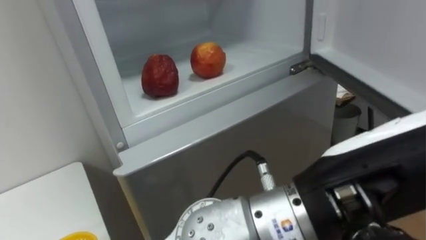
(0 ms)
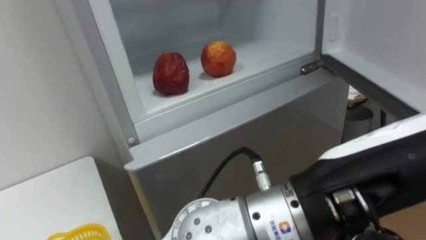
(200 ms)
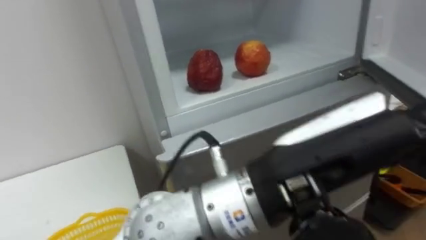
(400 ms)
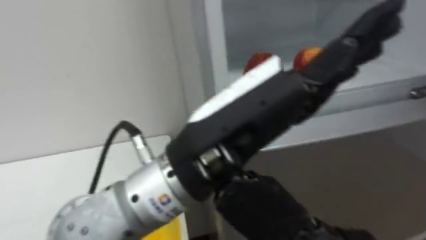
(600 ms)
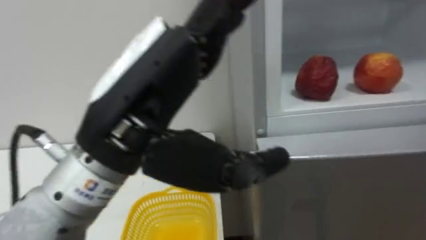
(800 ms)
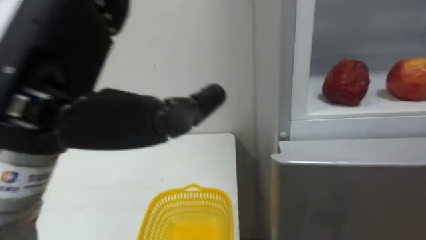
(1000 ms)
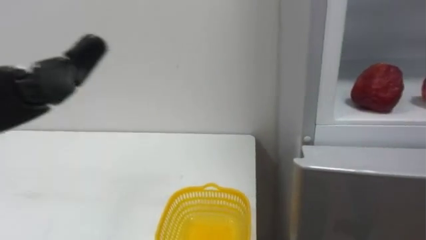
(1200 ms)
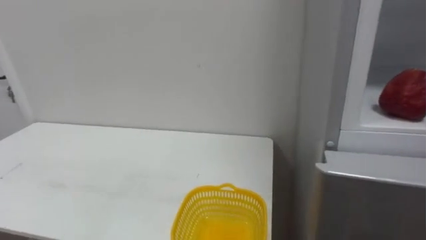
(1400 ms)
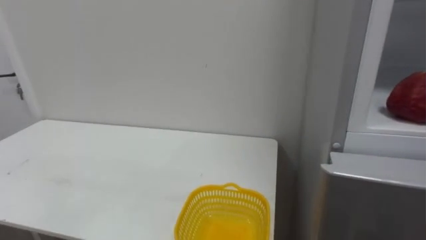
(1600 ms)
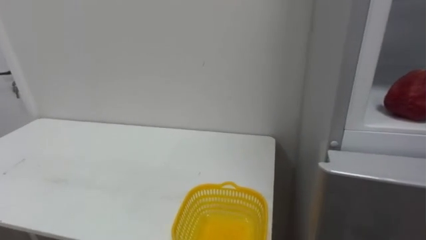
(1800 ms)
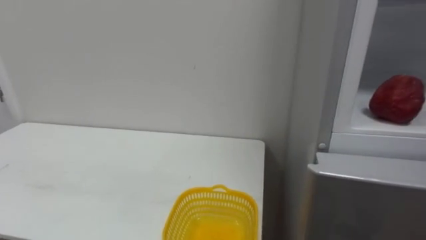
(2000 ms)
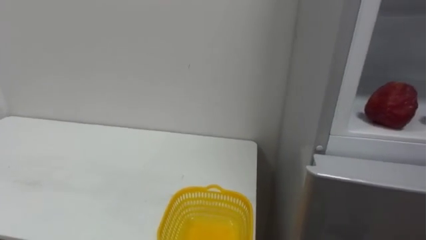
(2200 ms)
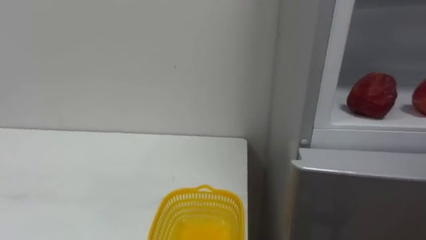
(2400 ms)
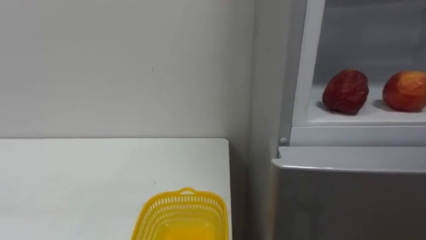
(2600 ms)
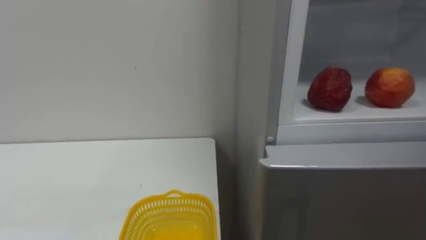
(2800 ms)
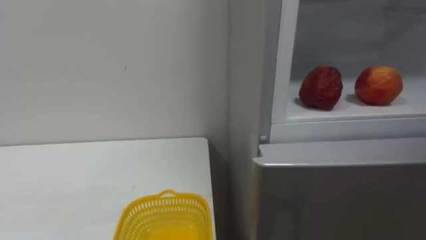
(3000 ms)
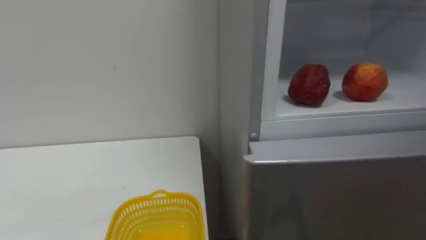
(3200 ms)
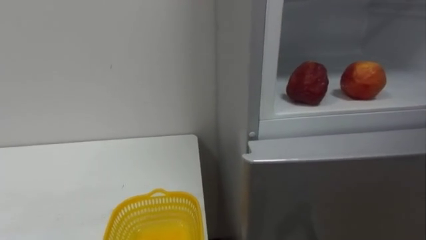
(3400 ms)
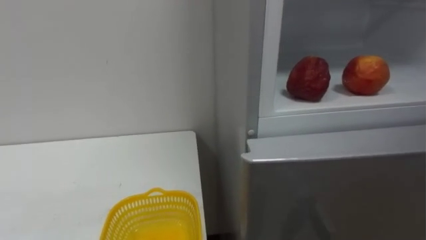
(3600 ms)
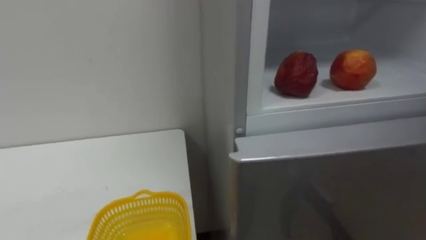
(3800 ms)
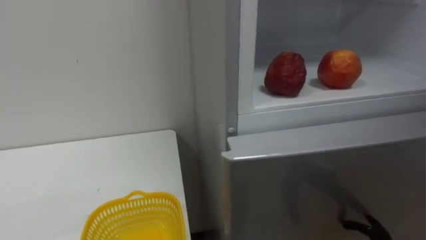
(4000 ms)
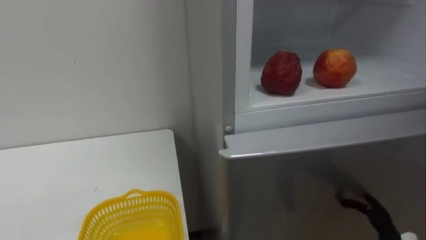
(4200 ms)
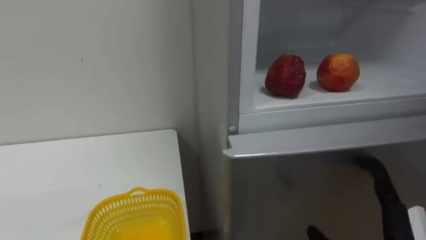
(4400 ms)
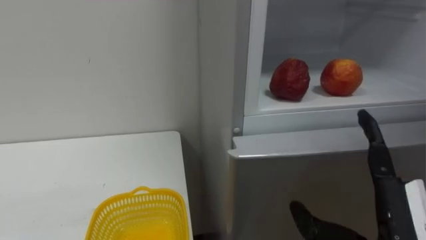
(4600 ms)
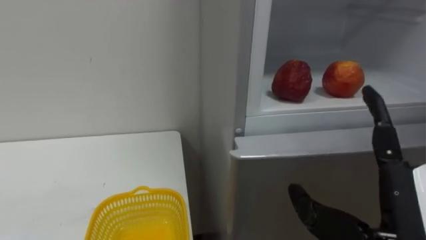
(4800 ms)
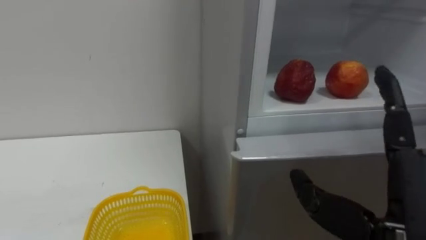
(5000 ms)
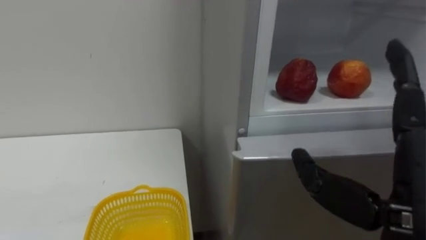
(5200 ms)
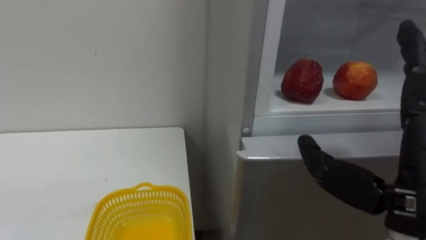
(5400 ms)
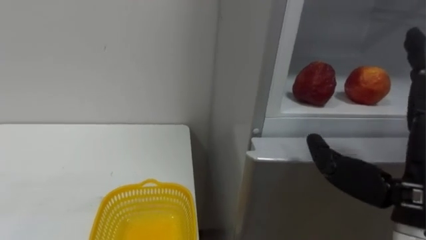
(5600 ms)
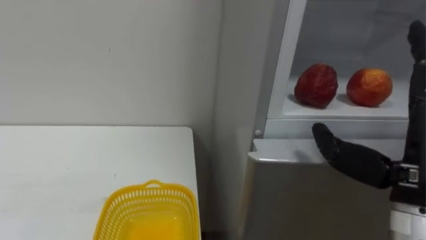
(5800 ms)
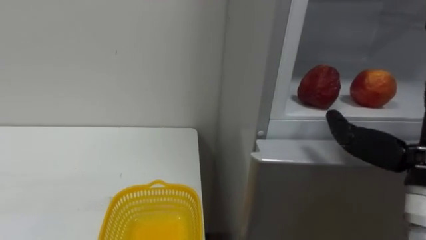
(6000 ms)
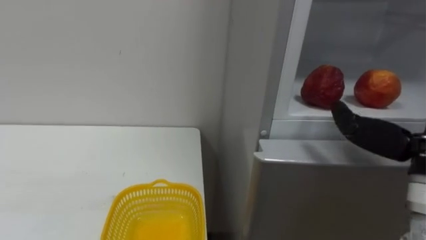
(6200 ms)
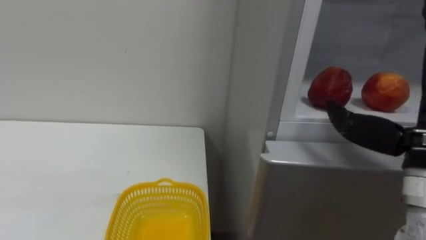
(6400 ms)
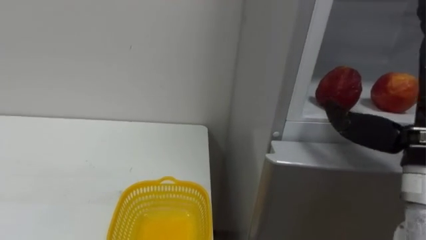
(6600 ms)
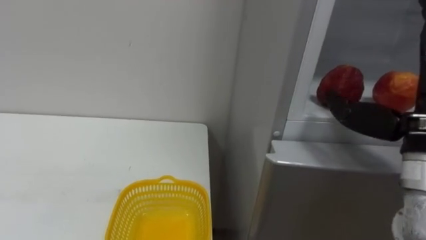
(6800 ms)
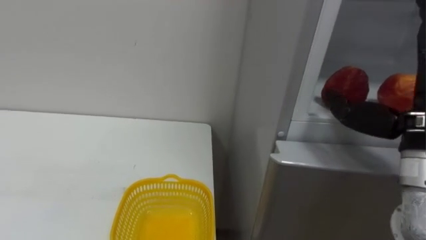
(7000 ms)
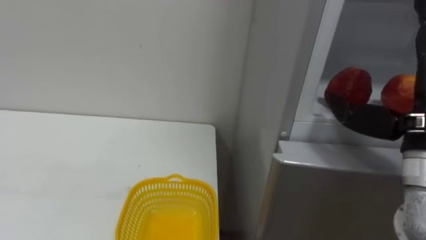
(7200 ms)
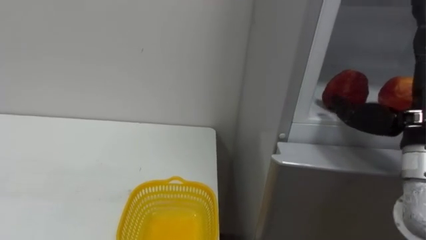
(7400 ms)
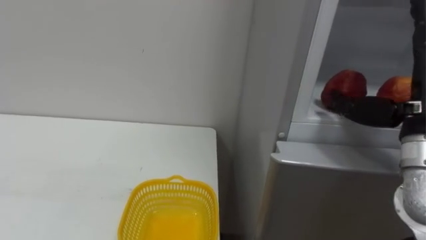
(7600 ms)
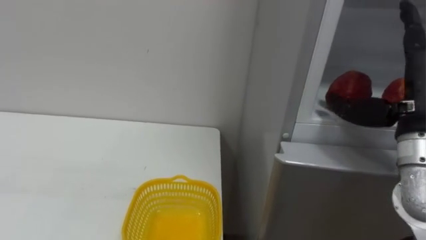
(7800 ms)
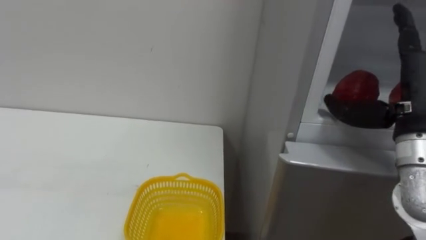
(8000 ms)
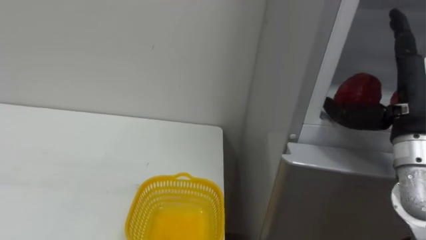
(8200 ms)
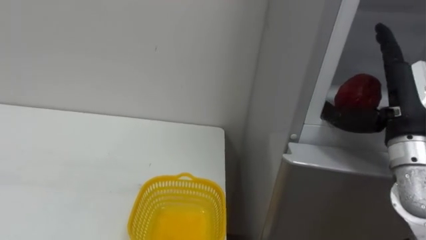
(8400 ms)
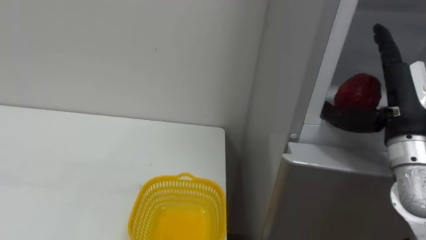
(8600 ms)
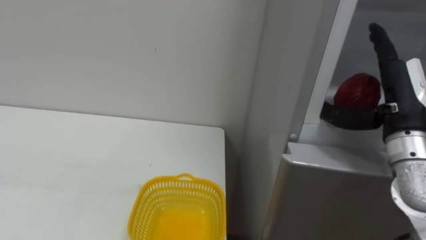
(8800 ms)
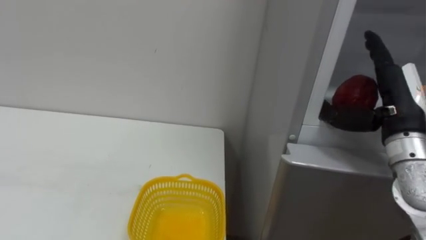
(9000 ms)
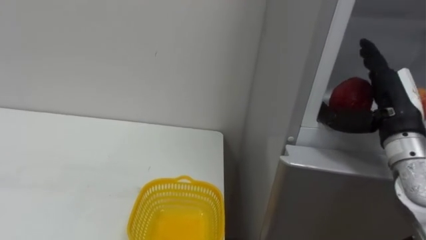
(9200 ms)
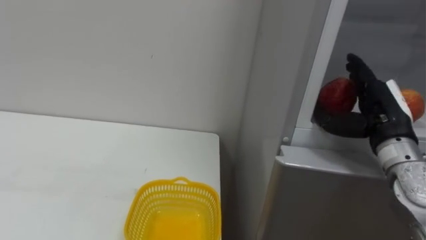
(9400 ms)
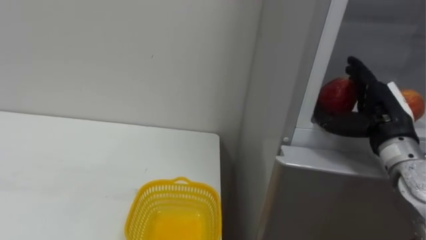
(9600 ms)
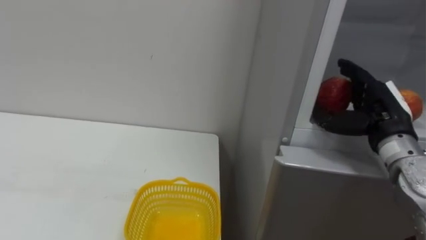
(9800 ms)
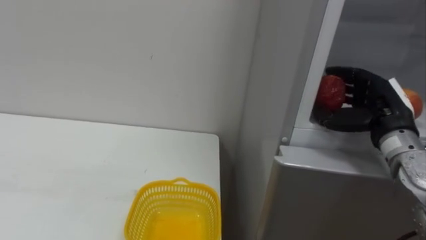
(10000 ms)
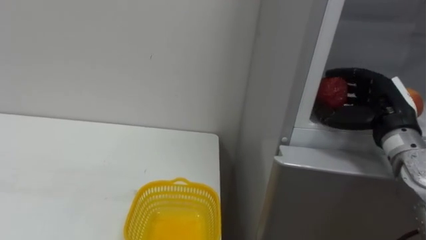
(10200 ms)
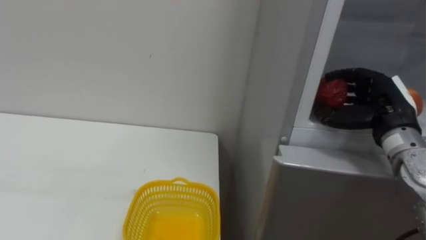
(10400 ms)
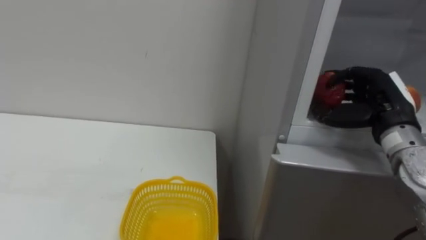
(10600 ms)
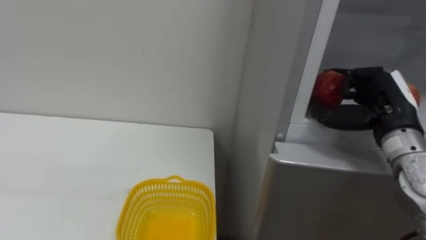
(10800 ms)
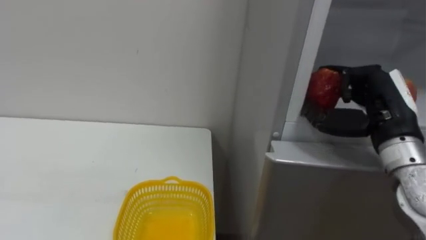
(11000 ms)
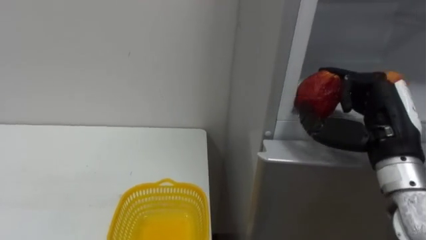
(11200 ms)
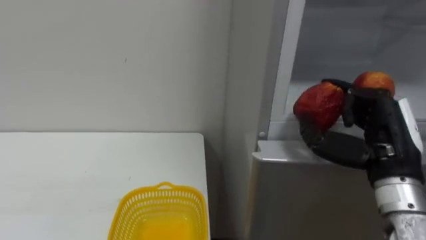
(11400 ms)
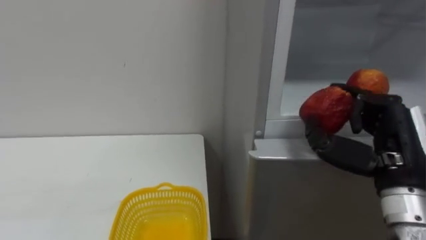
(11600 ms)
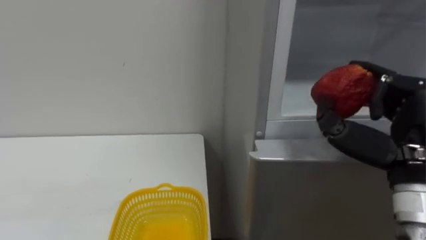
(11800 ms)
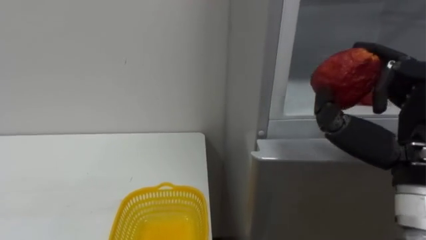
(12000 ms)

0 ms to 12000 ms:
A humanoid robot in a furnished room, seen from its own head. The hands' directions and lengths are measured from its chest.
Task of the whole recording: Open the refrigerator door, take out the apple and the pomegranate, place them in the fruit basket on the left, and close the refrigerator door.
7600 ms to 9000 ms: The right hand moves approximately 5 cm.
9000 ms to 10400 ms: The right hand closes its fingers.
10400 ms to 12000 ms: The right hand is displaced backward by some 15 cm.

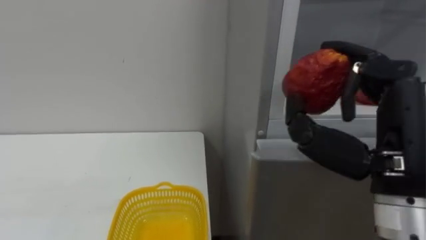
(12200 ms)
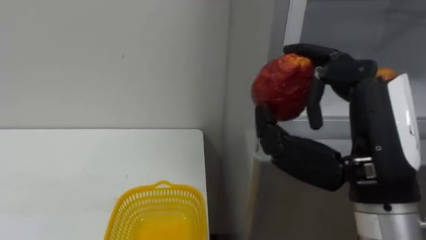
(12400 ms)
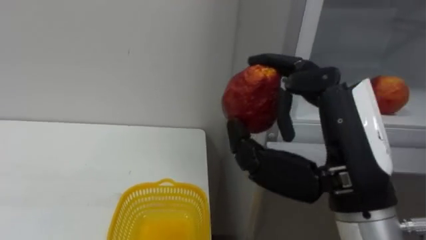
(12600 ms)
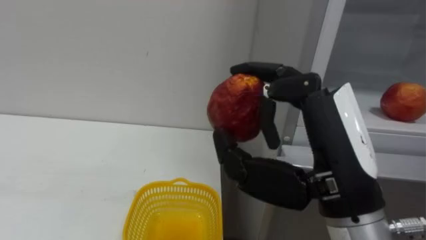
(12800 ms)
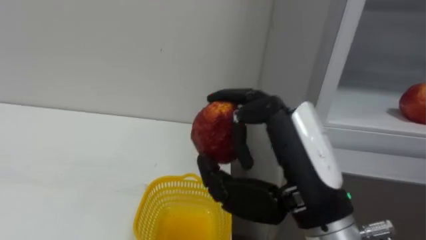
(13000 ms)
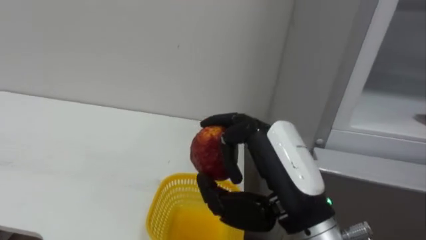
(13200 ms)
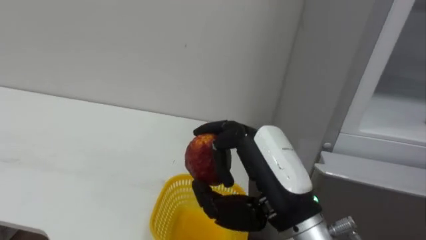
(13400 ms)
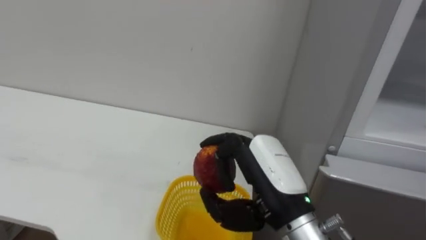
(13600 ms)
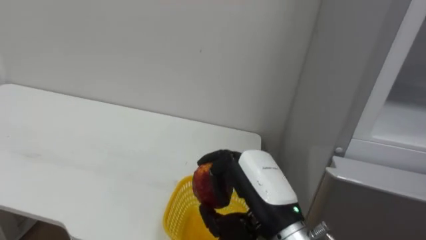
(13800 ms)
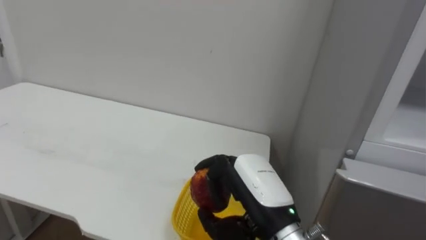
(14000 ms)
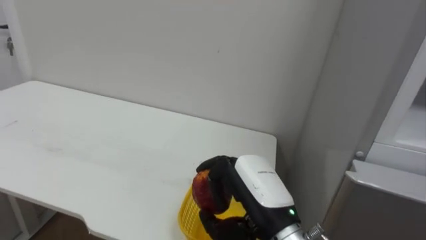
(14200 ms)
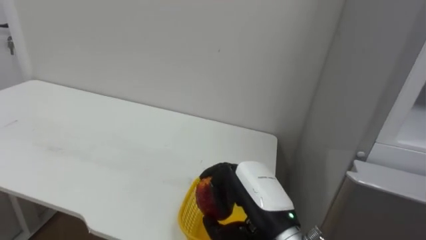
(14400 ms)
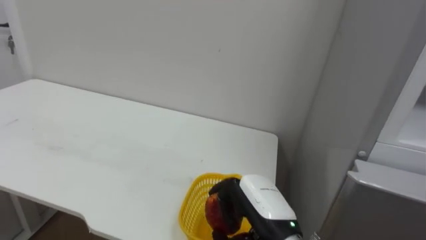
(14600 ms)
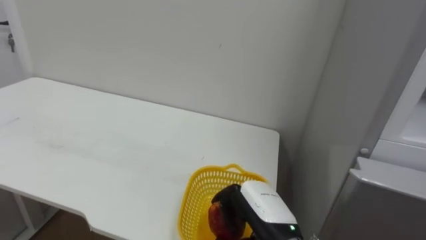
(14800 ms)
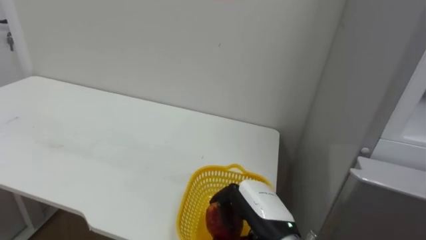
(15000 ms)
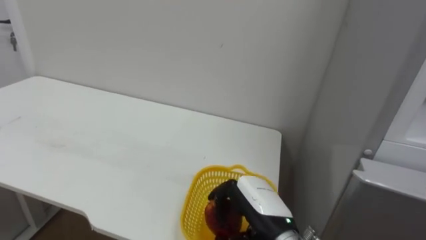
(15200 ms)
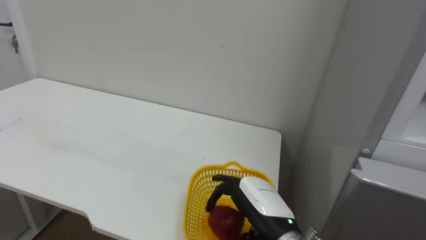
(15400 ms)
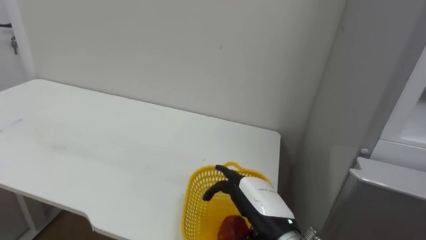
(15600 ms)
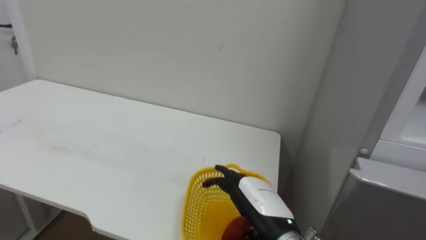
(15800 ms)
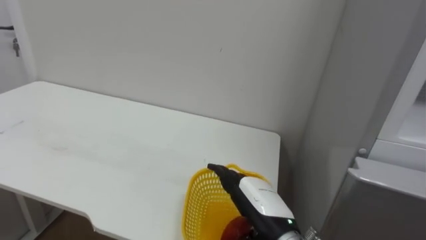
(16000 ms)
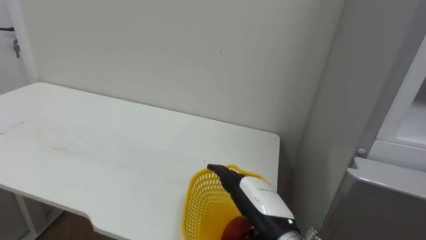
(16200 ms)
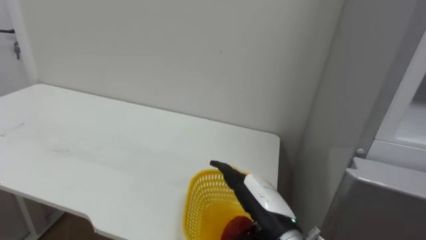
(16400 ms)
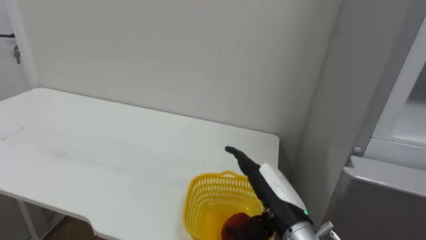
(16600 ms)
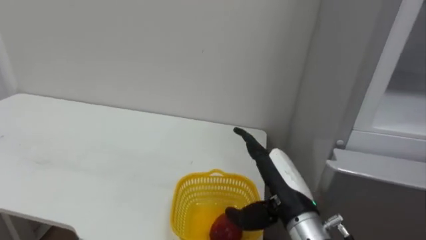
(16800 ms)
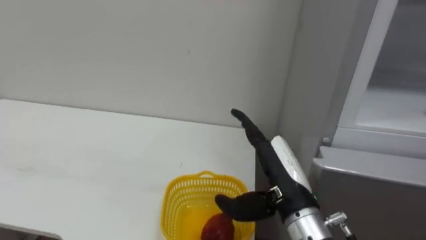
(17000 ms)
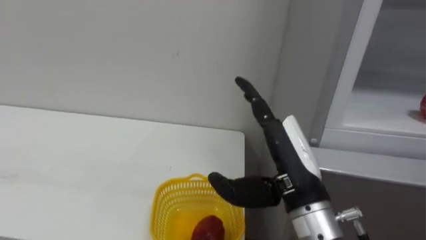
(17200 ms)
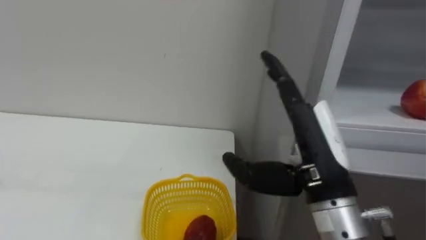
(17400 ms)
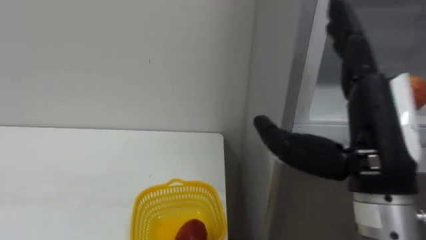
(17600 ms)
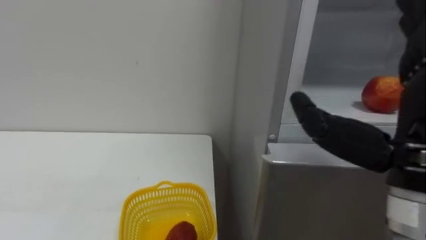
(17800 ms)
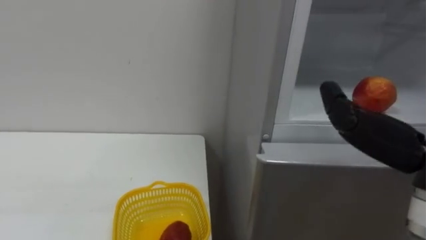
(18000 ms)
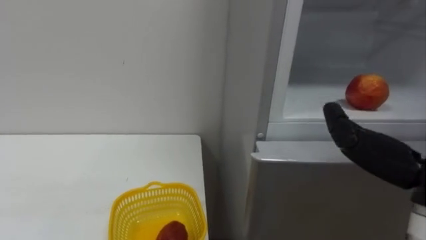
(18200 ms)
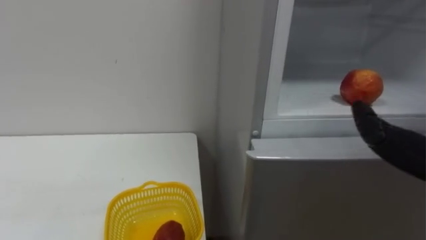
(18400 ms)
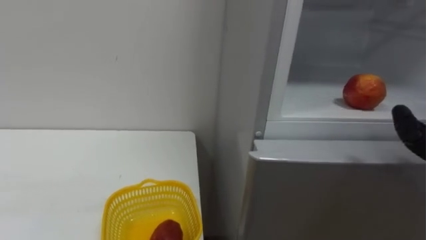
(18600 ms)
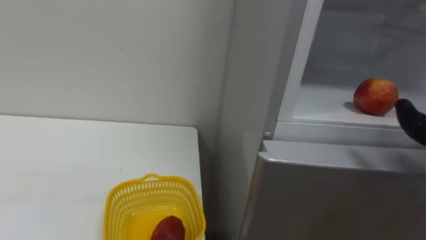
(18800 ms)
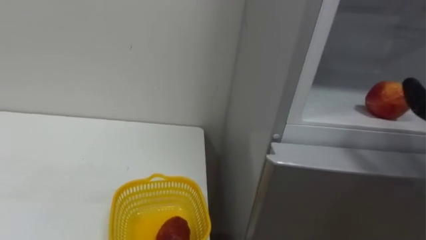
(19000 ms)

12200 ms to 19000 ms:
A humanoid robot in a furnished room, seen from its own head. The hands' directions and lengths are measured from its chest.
Task of the whole recording: Open the refrigerator door, take out the apple and the pomegranate, place them in the fruit basket on the left, and close the refrigerator door.
12200 ms to 13600 ms: The right hand is displaced to the left and downward by roughly 15 cm.
13600 ms to 15000 ms: The right hand travels downward by some 10 cm.
15000 ms to 16200 ms: The right hand opens up.
16200 ms to 17600 ms: The right hand travels upward and to the right by approximately 20 cm.
